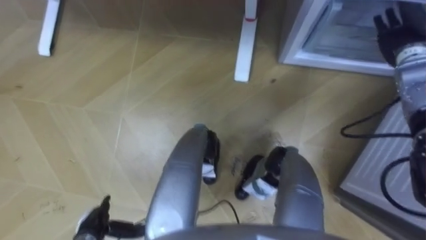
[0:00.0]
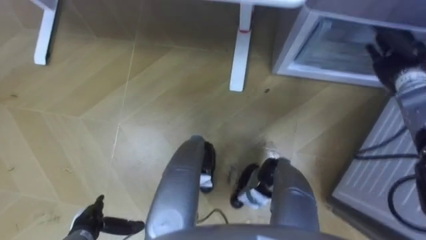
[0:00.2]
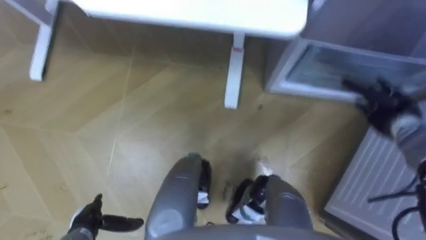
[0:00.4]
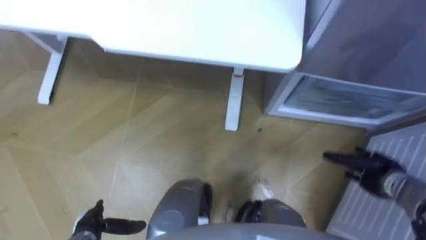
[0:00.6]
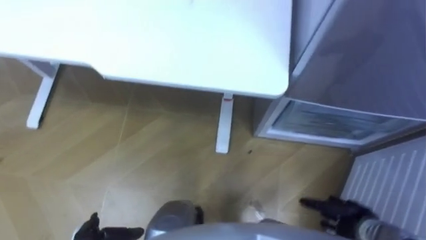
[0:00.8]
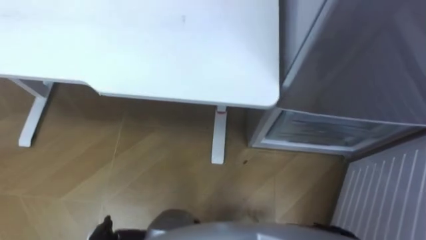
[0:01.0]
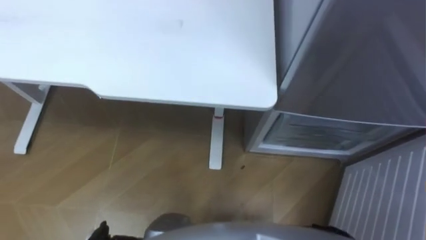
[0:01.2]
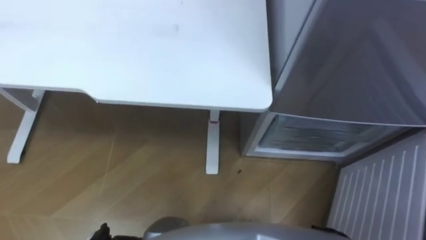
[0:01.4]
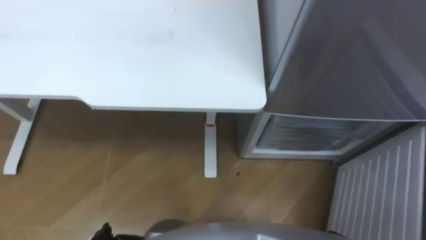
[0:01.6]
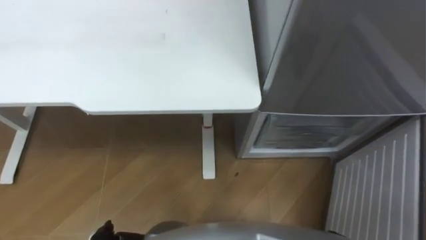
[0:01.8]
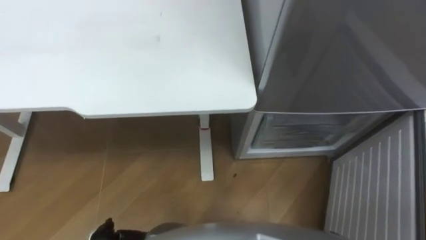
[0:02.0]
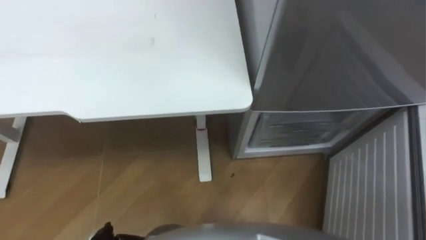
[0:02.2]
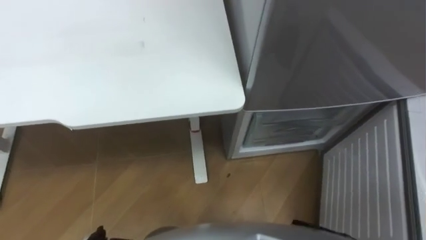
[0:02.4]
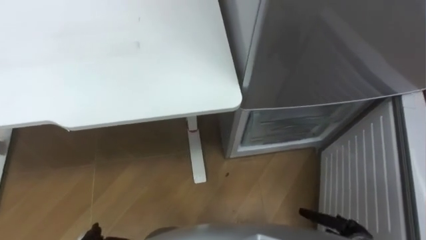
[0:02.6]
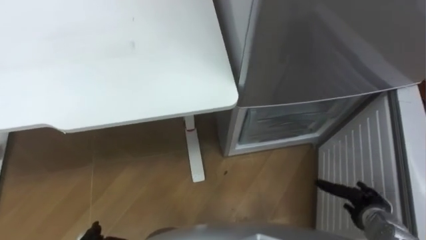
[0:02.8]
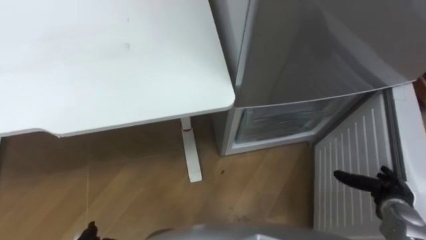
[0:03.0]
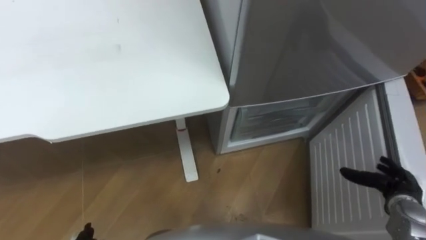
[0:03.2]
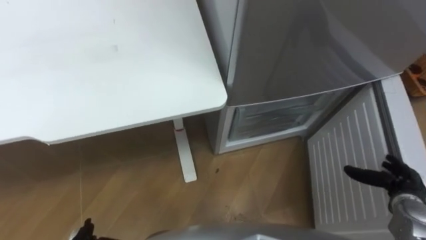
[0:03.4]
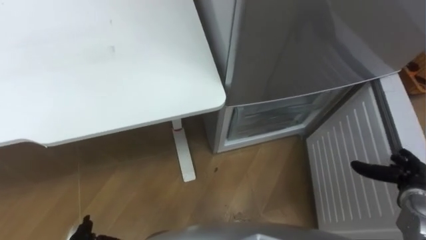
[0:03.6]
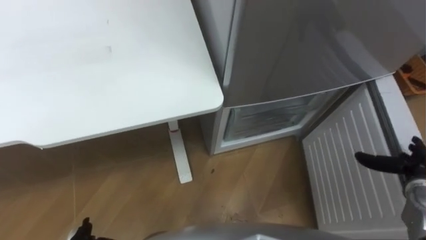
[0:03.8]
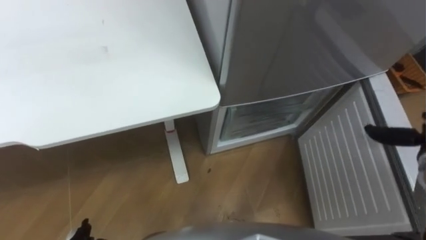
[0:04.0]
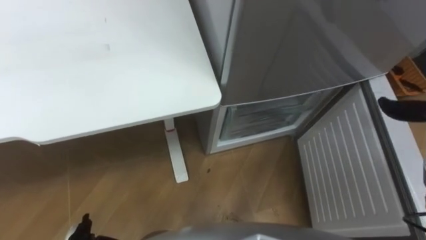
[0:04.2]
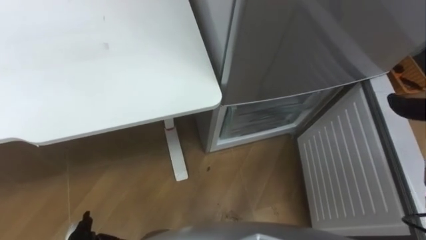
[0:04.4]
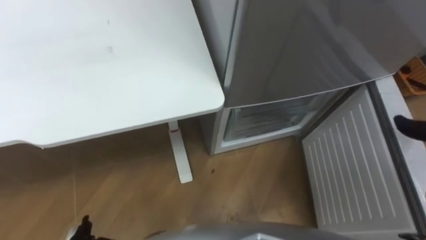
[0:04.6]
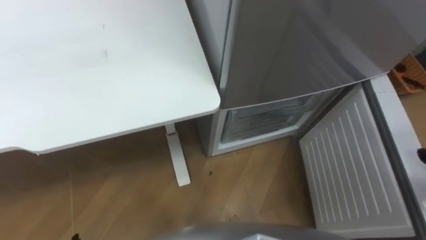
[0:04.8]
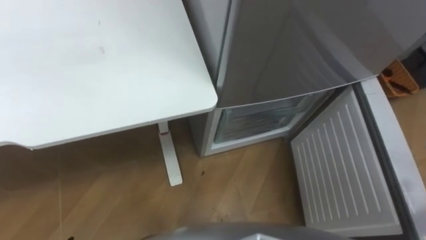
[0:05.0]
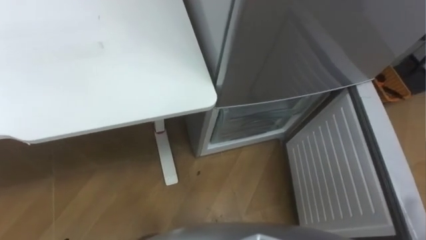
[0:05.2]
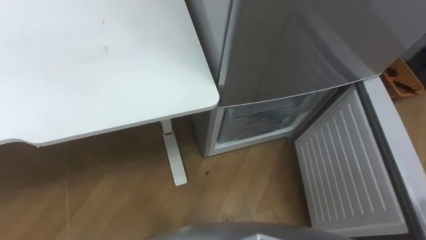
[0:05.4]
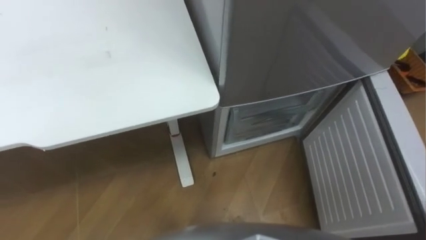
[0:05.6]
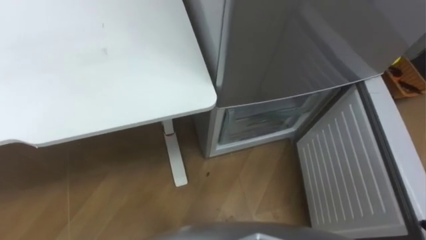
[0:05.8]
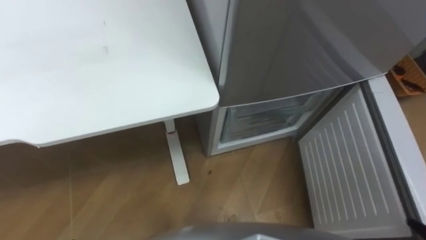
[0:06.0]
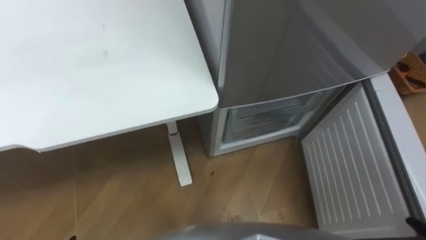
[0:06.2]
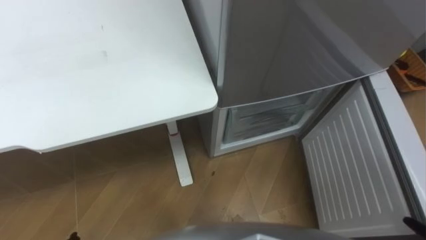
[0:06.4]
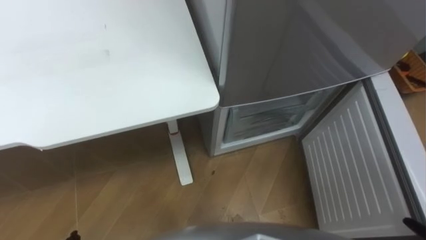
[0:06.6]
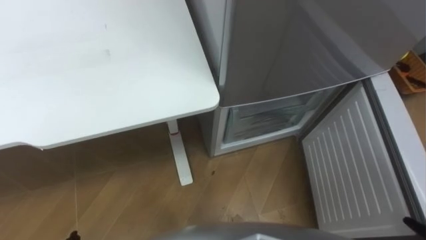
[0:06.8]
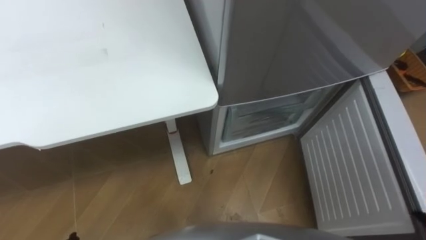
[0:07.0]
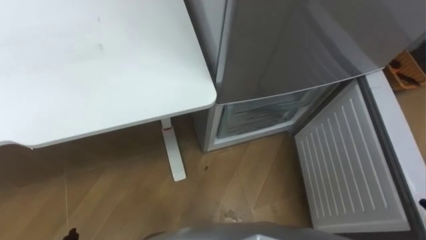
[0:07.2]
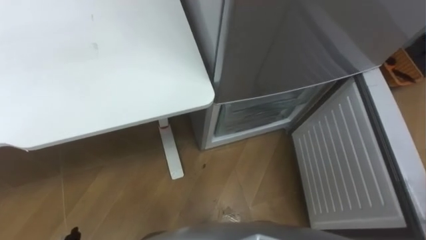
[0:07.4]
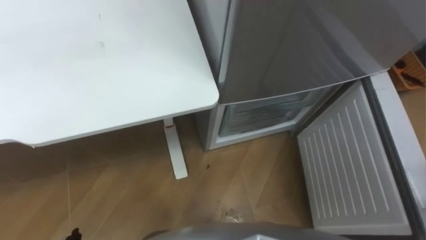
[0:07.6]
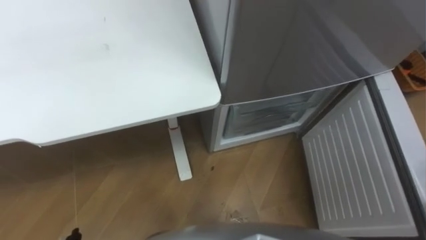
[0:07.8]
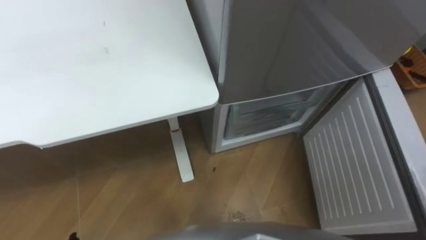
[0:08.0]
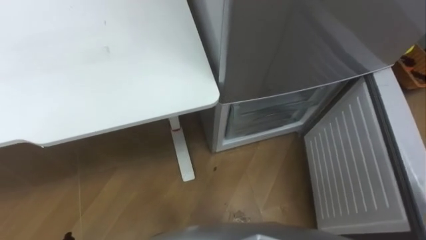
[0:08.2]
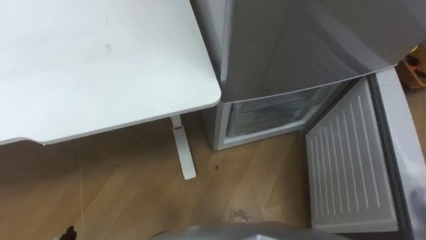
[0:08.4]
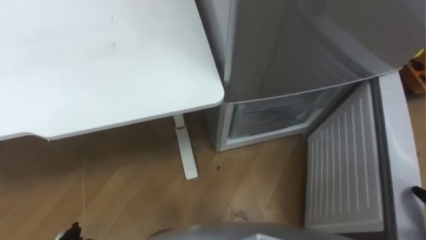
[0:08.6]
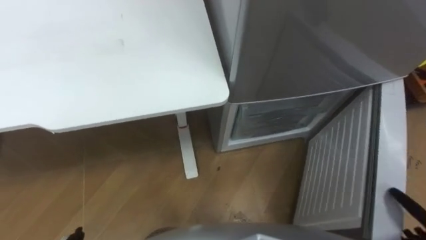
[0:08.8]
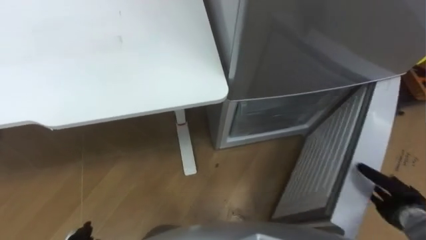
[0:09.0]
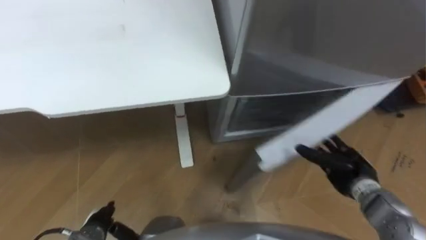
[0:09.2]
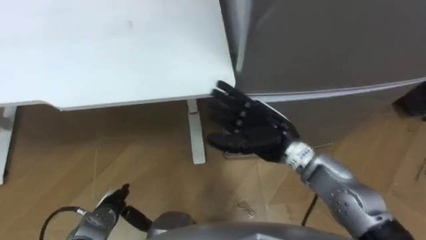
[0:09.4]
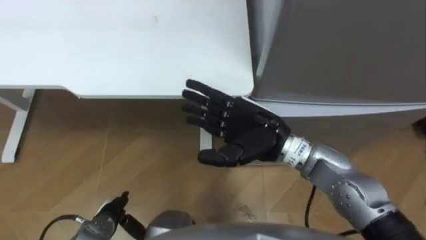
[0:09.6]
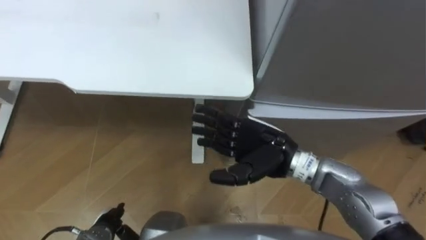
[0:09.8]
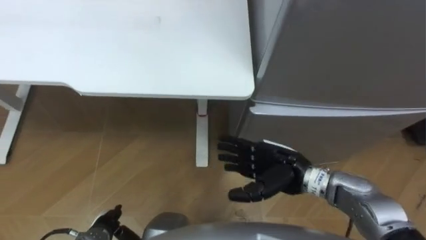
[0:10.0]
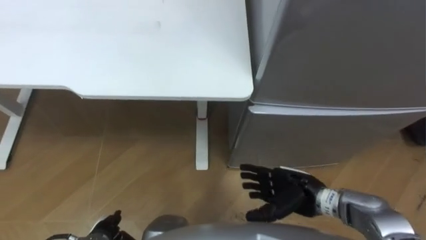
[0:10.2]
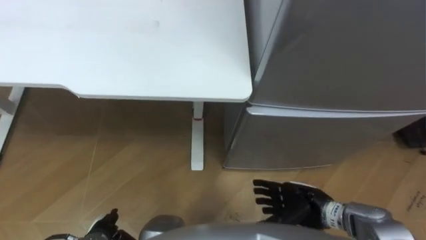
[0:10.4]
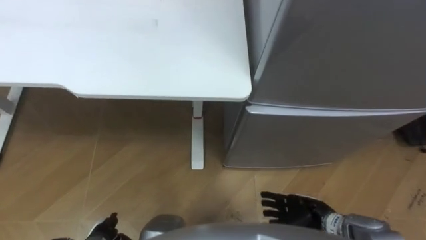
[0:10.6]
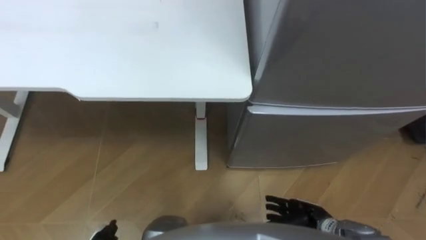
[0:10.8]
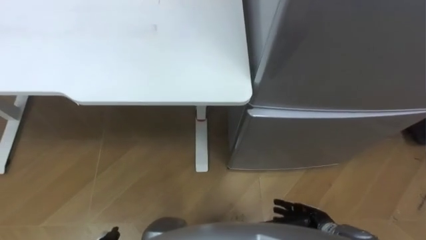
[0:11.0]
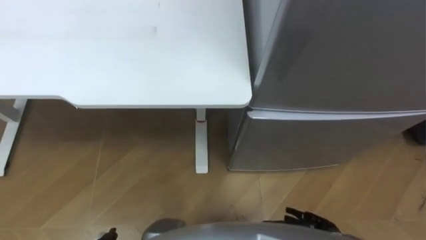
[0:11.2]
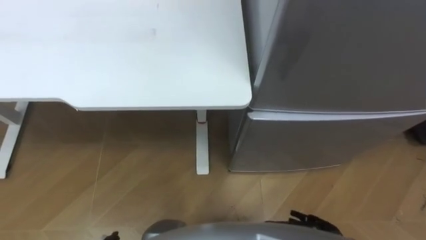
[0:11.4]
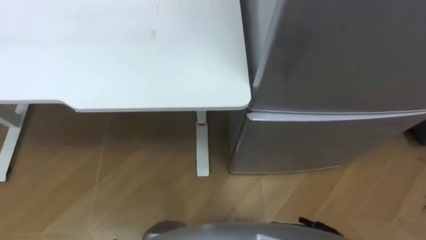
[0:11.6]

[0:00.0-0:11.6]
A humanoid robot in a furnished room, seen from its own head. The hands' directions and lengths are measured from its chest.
Task of the whole recording: Place the drink on the table on the bottom shelf of the refrigerator, then close the drawer and the refrigerator door.
0:10.2 to 0:11.6: The right hand is displaced downward, backward and to the right by about 20 cm.

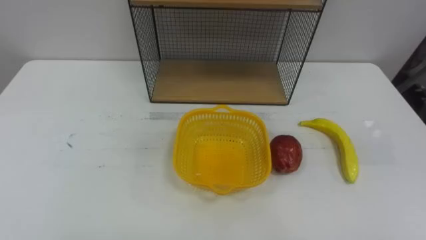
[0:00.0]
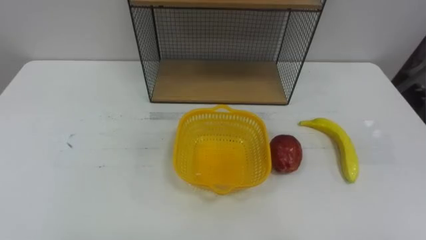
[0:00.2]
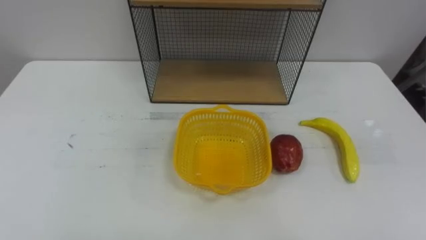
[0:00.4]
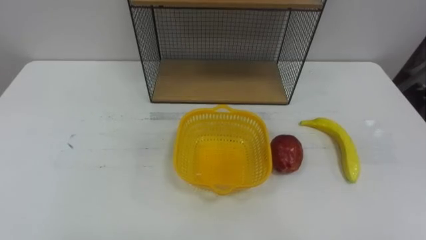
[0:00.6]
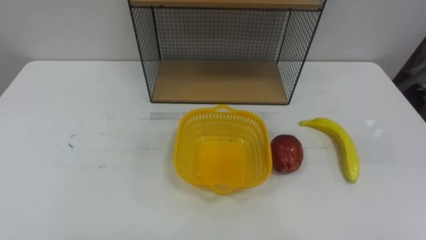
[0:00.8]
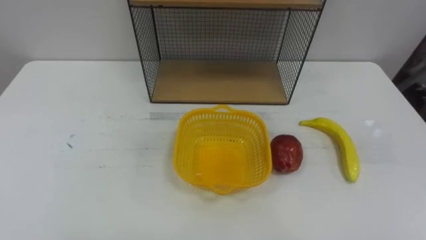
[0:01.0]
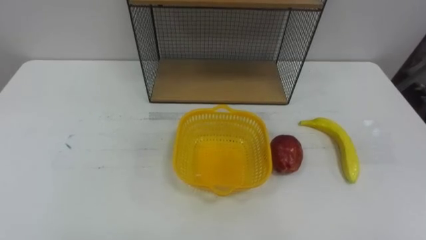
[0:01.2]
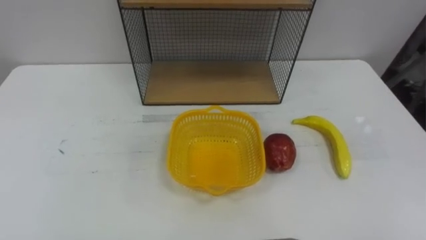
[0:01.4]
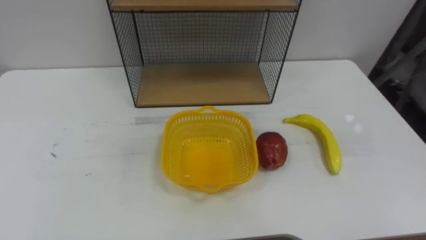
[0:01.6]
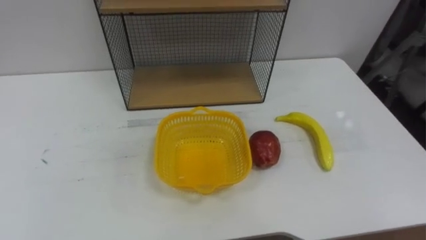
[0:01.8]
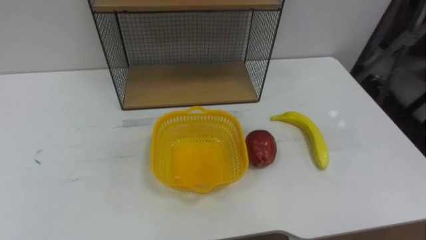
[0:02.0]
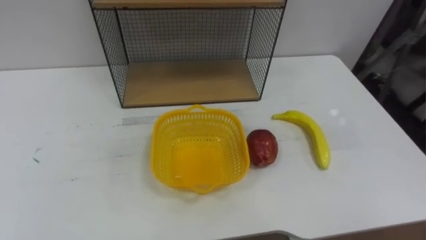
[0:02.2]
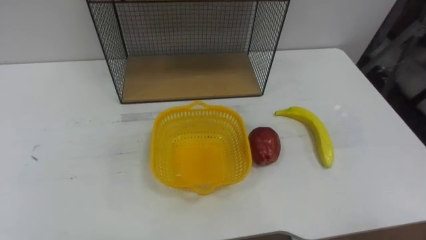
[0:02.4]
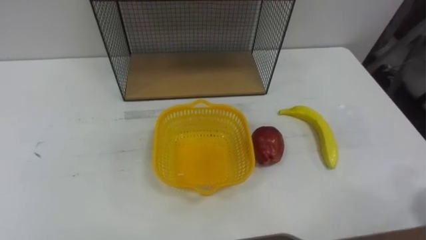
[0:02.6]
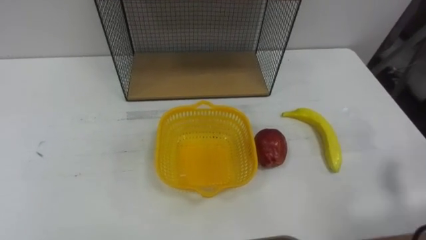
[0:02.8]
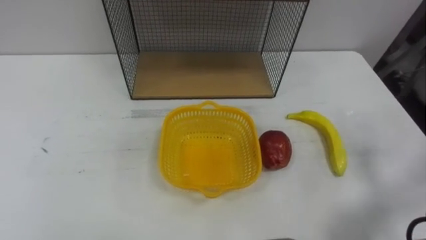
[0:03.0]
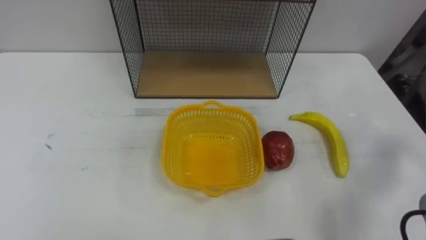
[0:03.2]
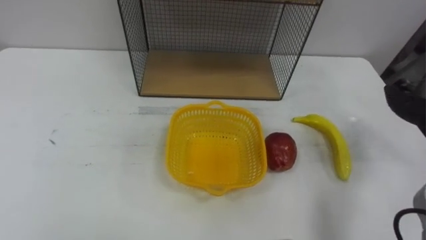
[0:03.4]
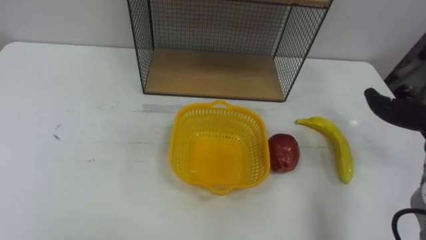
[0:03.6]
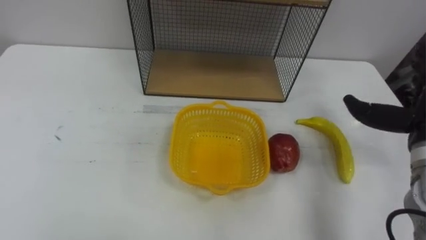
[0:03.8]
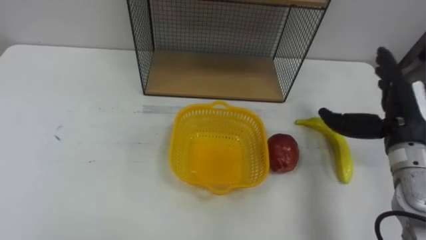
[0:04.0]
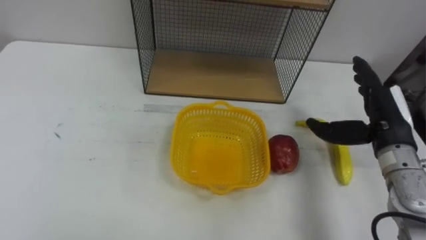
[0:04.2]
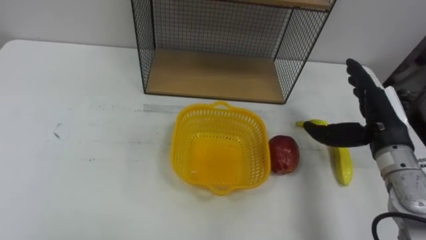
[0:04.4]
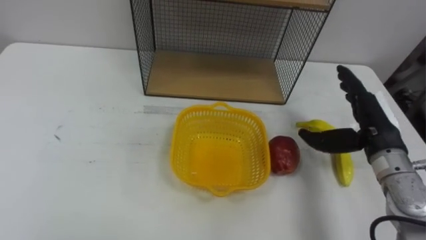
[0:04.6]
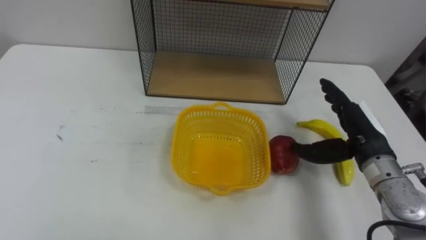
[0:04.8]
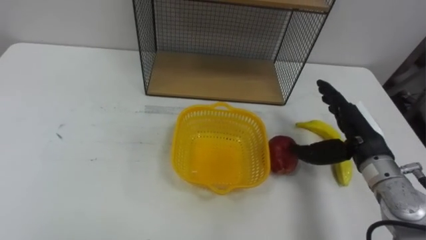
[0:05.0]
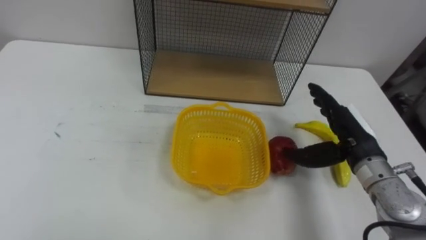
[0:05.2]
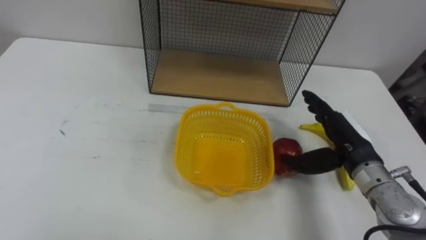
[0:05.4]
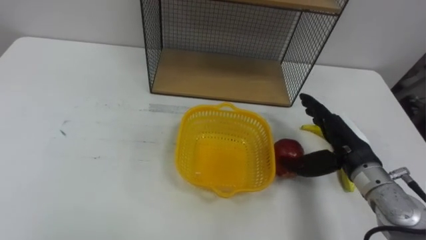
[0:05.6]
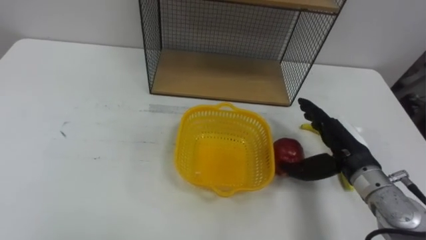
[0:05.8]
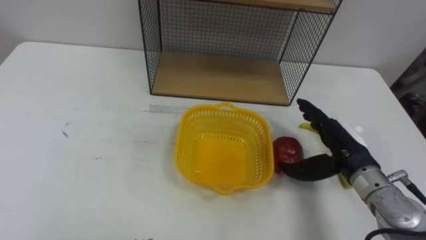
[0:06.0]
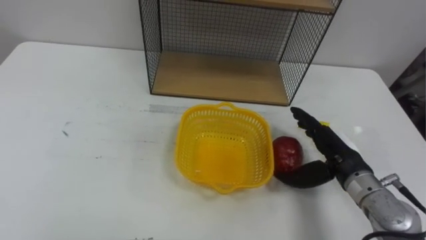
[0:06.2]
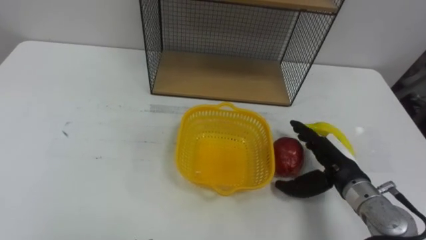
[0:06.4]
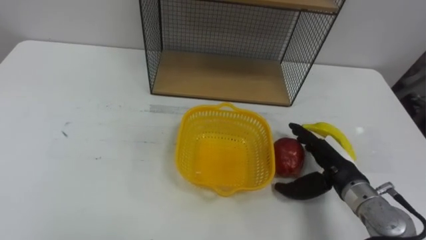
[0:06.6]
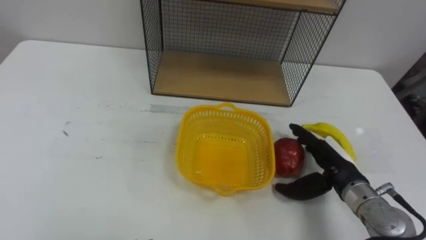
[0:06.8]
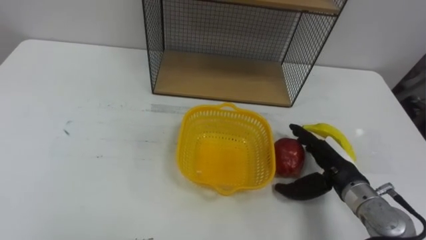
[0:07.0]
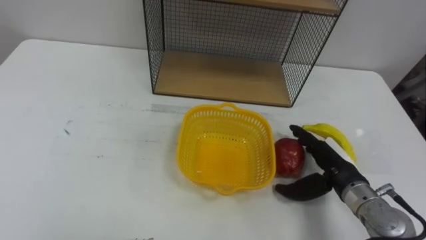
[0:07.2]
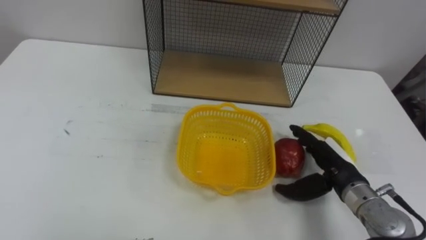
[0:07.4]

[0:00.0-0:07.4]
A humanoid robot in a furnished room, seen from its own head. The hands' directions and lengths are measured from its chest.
Task of the whole recording: Put the fruit on the table into the basket, then place the basket on the shelf.
0:04.4 to 0:06.0: The right hand moves roughly 5 cm.
